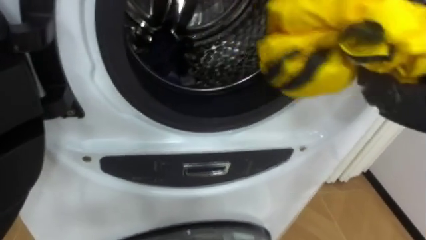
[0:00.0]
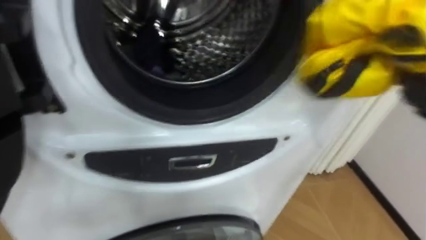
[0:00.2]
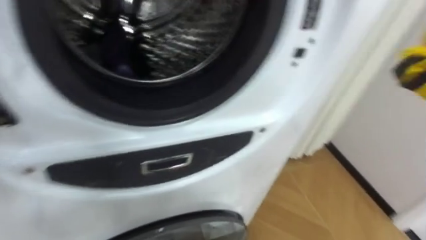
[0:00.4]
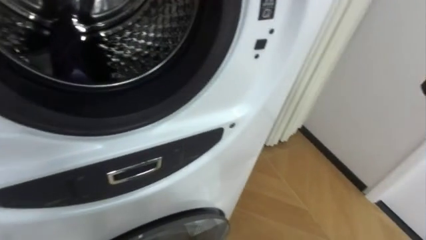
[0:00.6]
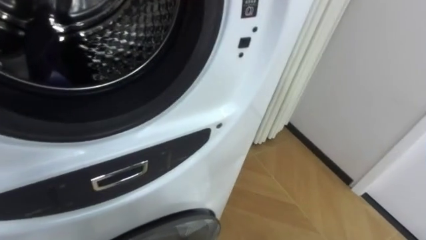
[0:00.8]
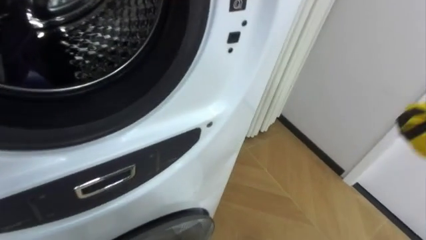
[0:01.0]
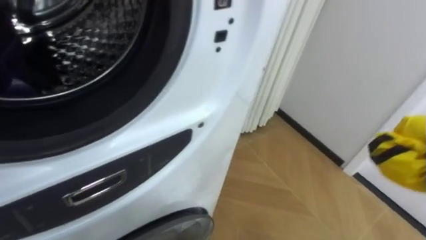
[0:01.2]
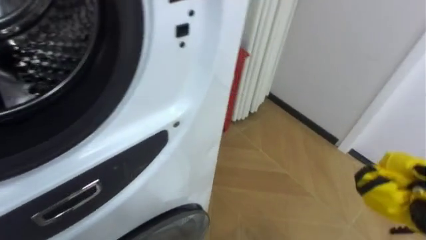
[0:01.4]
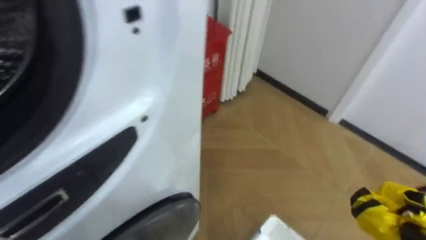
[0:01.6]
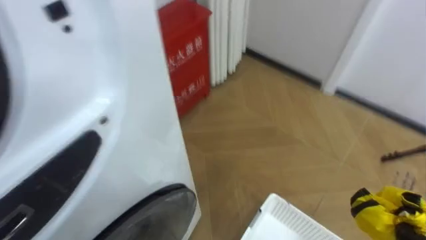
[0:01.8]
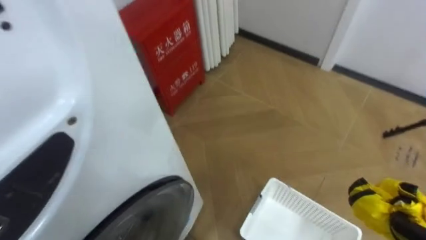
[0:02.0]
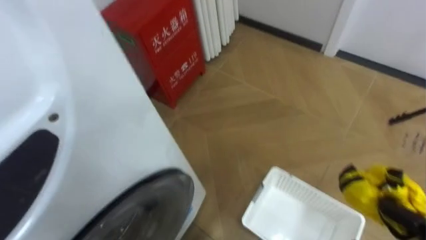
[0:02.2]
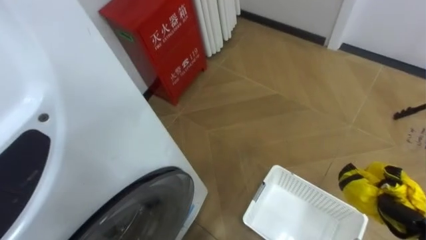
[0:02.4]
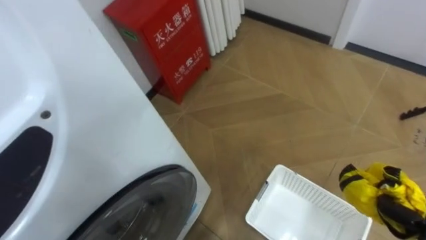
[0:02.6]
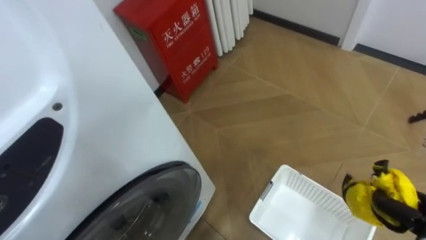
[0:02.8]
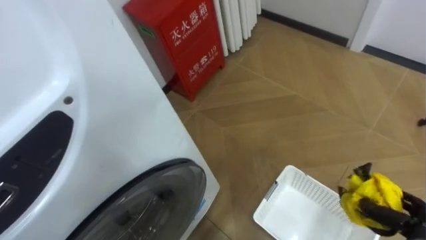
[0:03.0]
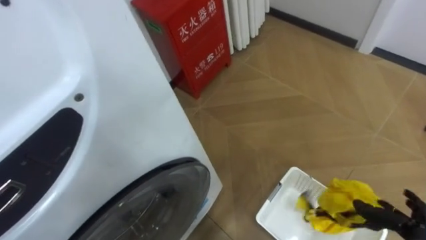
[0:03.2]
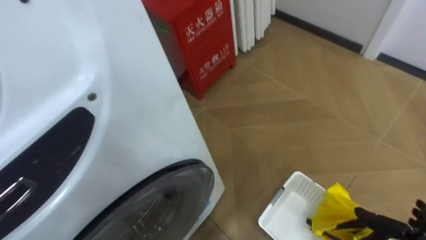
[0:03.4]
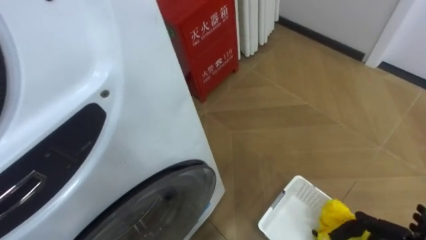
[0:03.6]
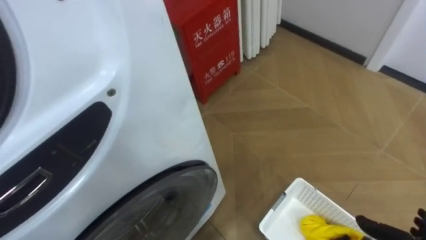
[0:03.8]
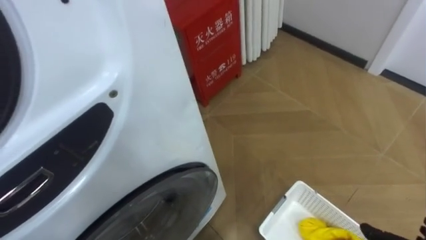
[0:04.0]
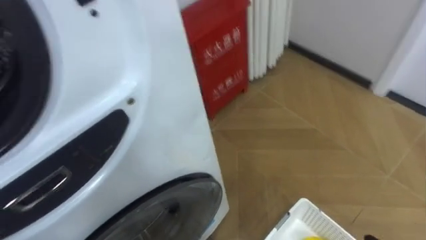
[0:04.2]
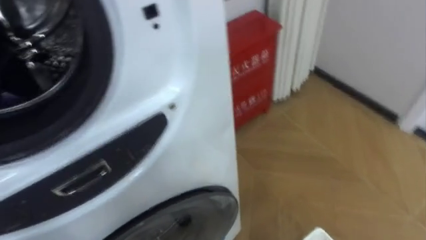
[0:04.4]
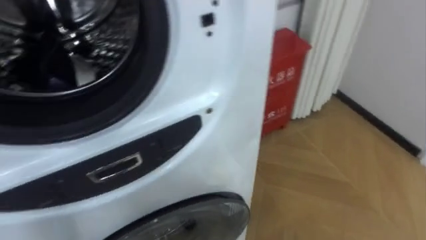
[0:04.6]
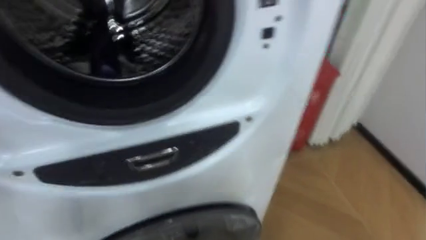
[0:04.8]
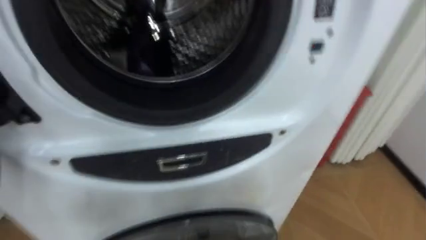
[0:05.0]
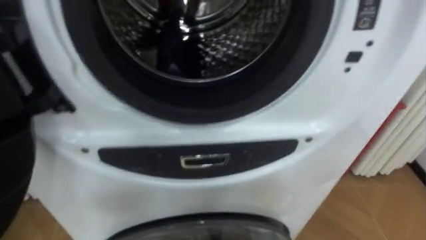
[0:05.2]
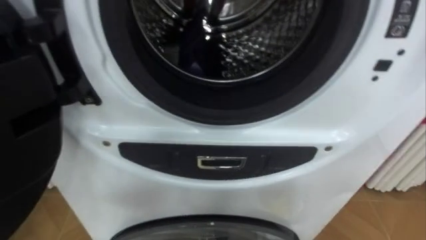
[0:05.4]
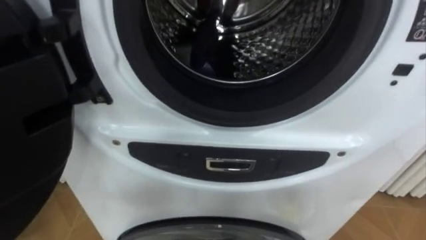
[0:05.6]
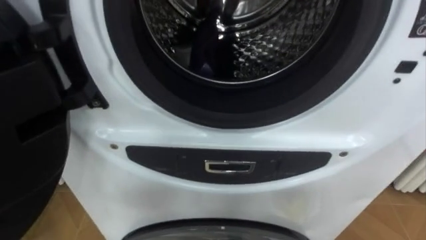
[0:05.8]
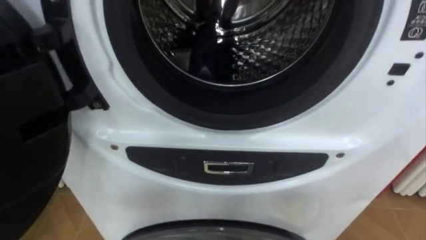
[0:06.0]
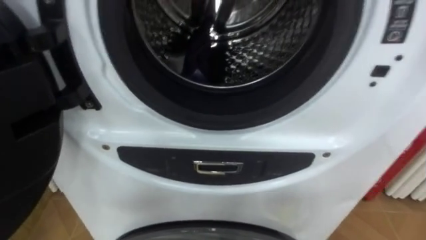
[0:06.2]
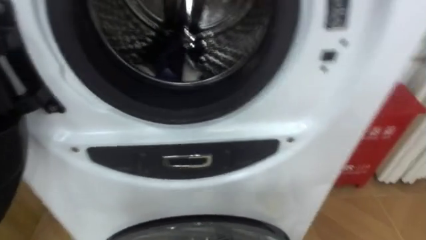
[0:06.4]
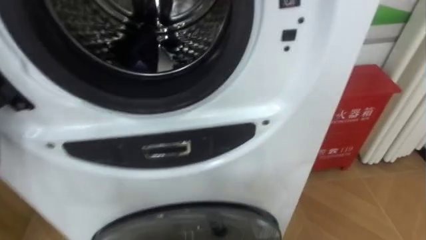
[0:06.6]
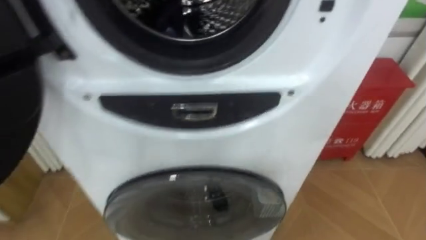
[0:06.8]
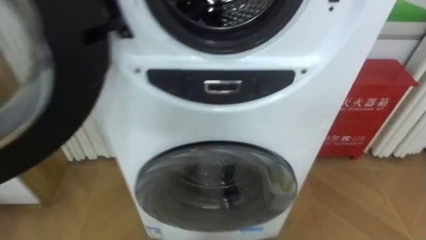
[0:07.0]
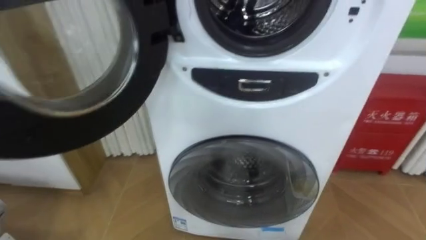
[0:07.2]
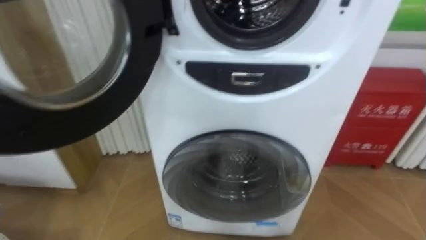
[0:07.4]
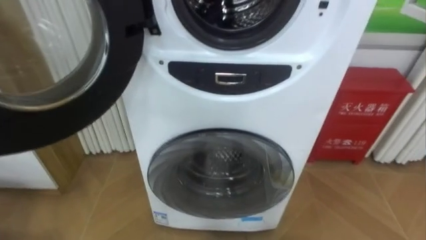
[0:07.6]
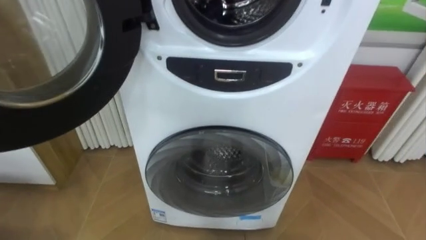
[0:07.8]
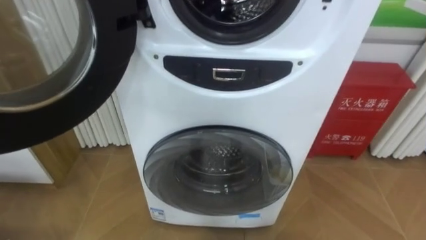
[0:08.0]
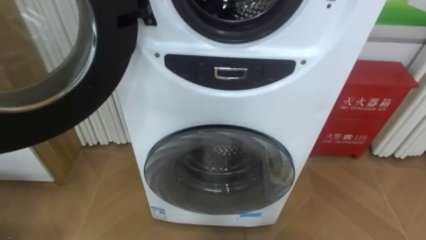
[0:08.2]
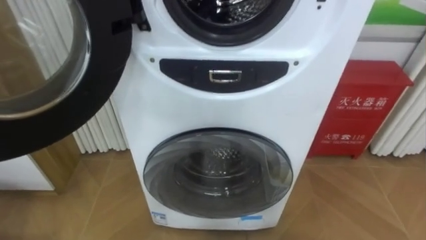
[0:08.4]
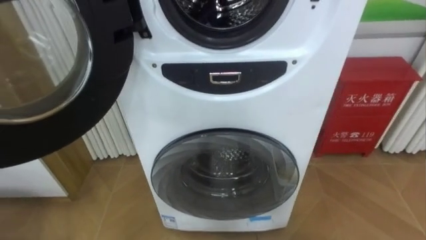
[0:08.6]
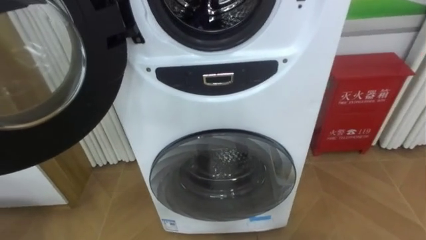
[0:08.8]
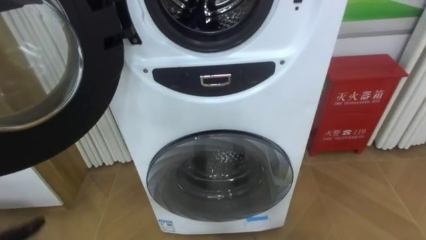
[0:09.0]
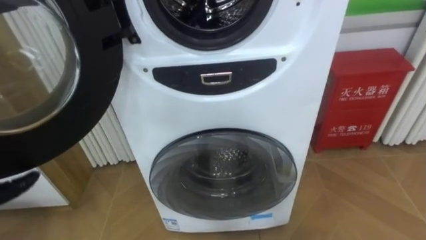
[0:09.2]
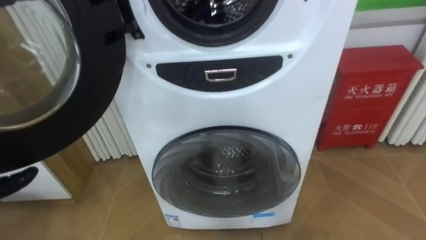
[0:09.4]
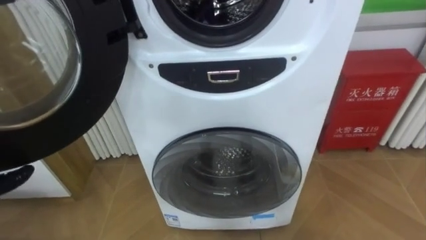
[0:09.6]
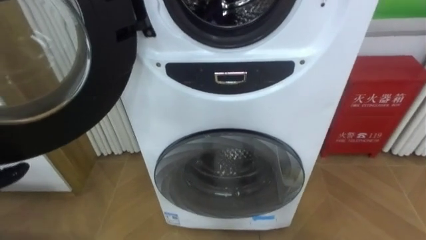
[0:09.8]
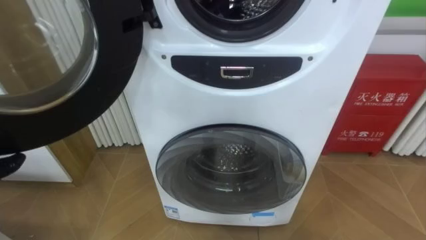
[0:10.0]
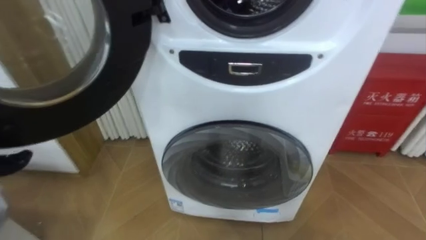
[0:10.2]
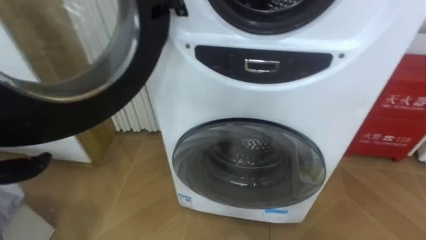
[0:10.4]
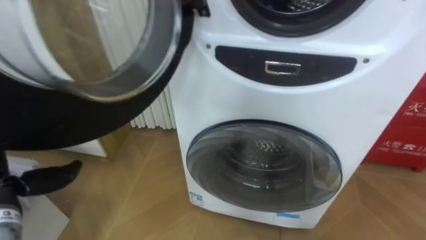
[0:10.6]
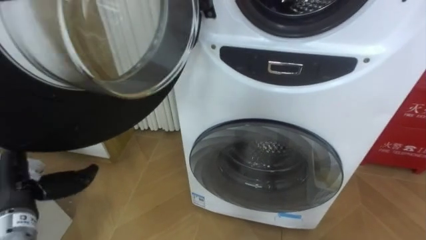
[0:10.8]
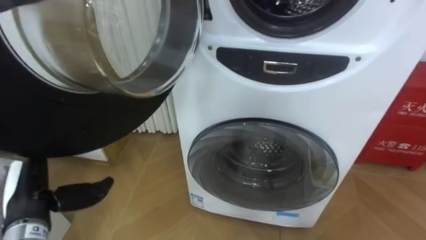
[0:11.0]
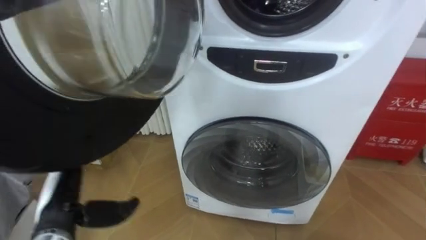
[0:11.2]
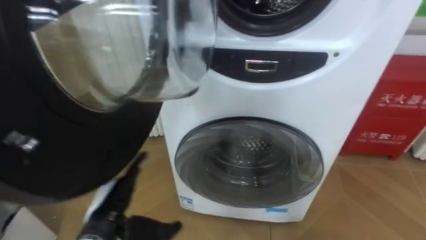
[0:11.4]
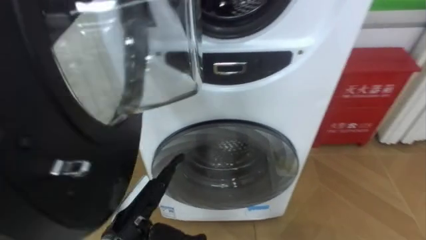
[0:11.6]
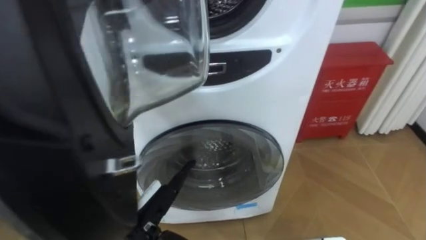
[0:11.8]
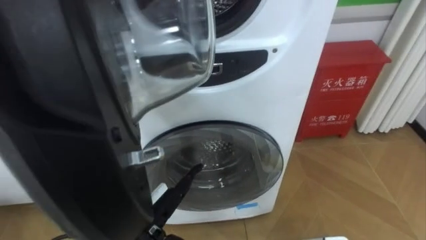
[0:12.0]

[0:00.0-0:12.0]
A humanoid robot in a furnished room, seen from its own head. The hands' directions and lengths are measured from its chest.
Task of the whole recording: Open the washing machine door, take out the yellow clothes, place them in the box on the right, and close the washing machine door.
0:00.0 to 0:01.6: The robot faces approximately 25 degrees further to its right.

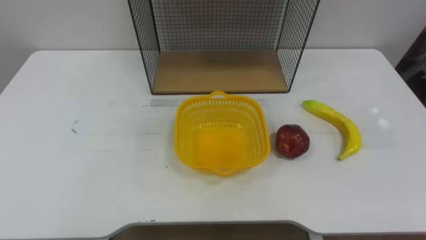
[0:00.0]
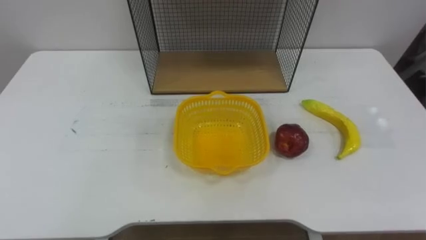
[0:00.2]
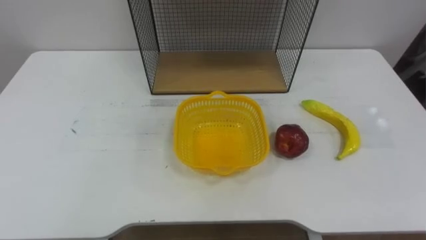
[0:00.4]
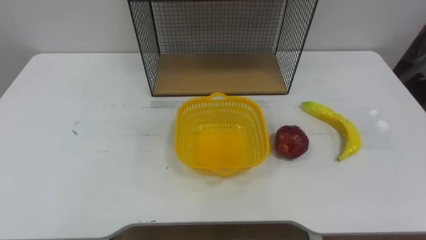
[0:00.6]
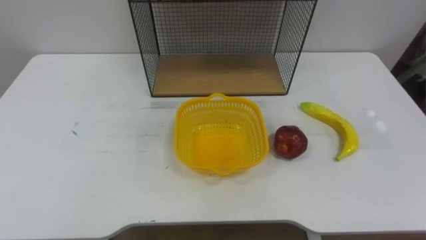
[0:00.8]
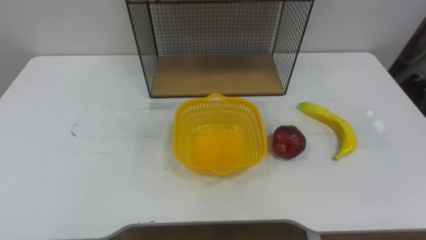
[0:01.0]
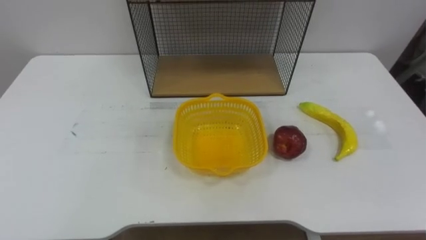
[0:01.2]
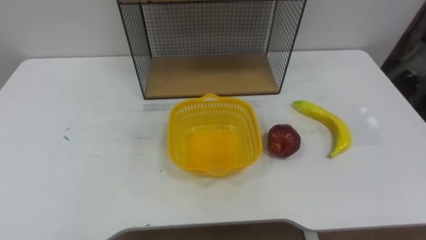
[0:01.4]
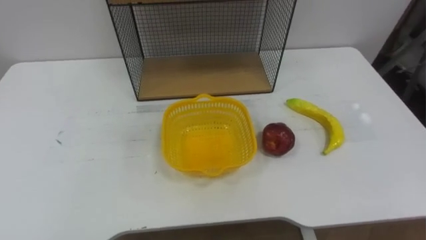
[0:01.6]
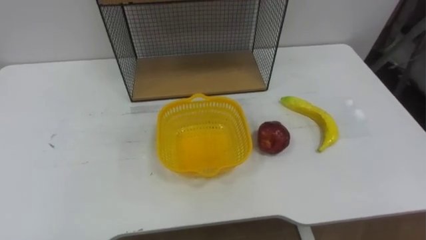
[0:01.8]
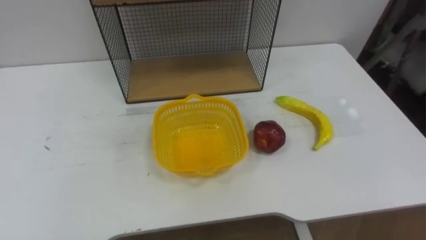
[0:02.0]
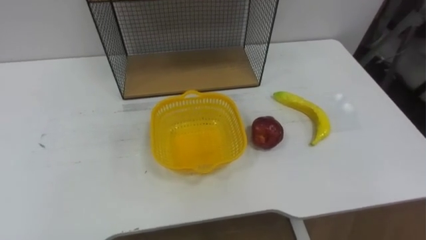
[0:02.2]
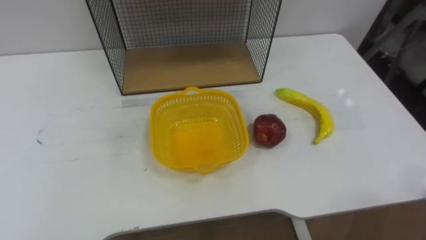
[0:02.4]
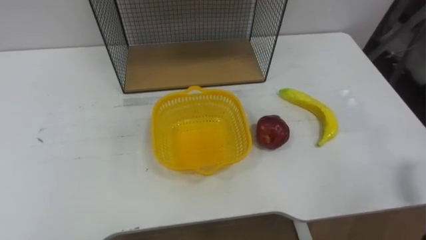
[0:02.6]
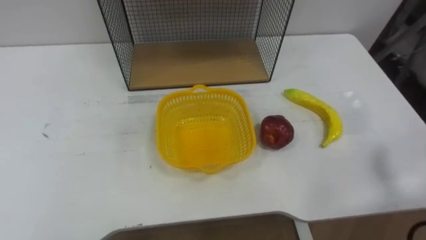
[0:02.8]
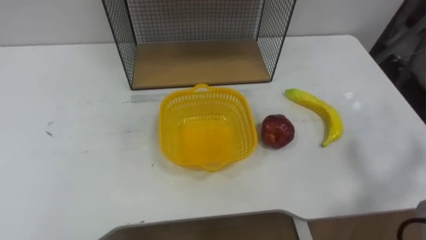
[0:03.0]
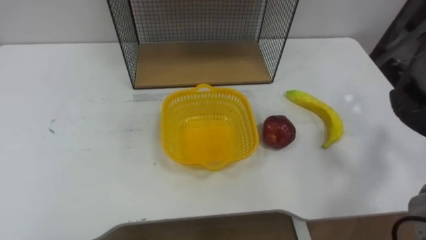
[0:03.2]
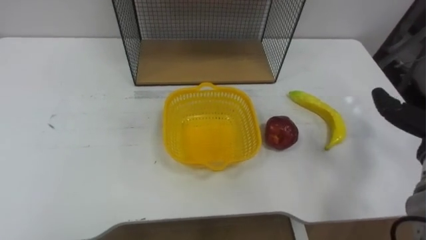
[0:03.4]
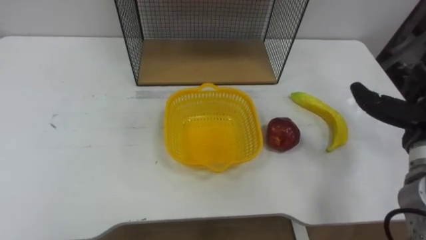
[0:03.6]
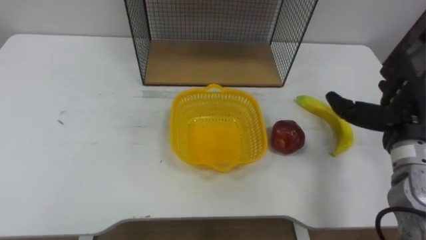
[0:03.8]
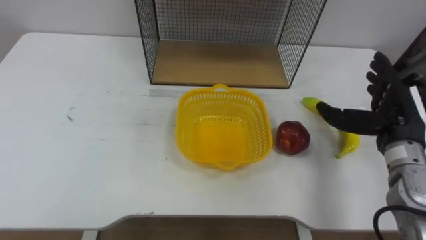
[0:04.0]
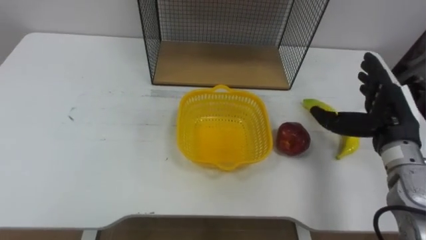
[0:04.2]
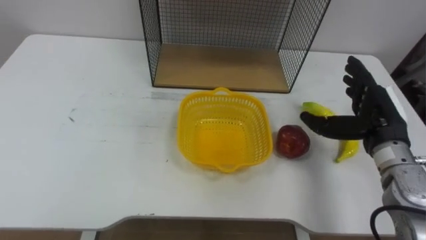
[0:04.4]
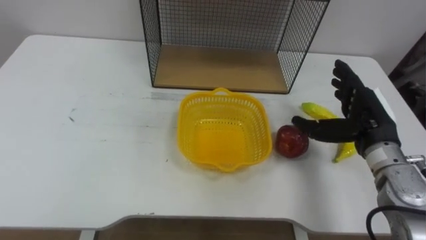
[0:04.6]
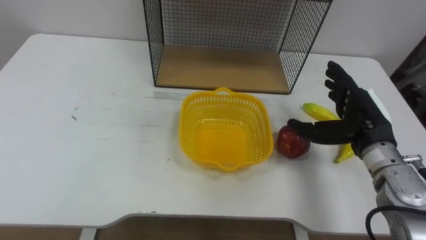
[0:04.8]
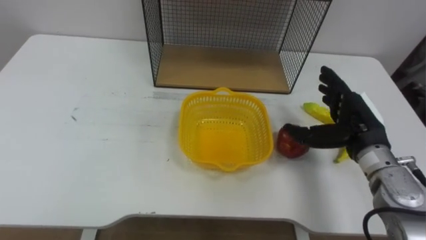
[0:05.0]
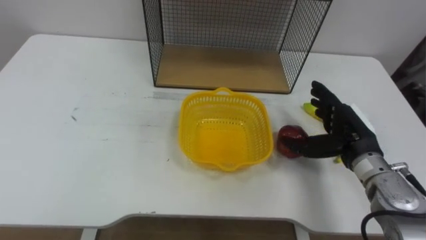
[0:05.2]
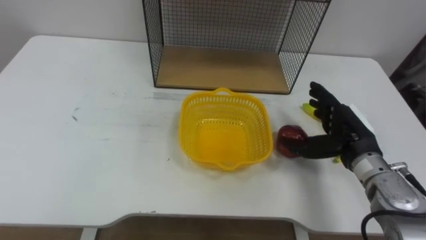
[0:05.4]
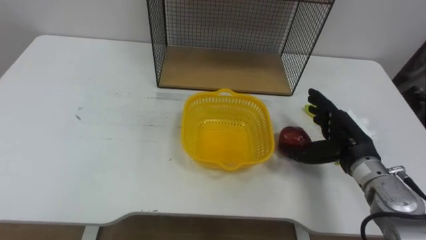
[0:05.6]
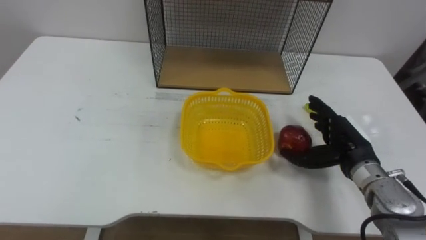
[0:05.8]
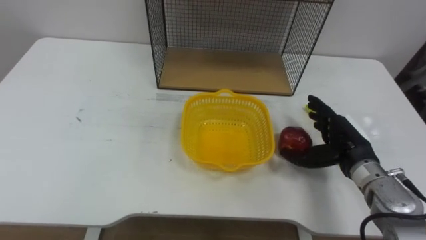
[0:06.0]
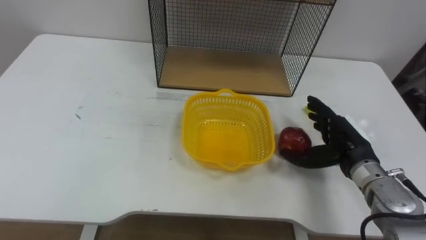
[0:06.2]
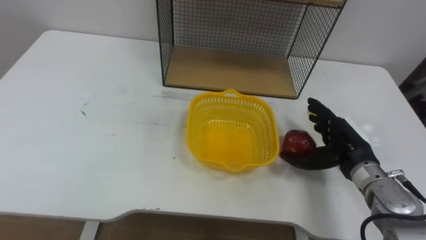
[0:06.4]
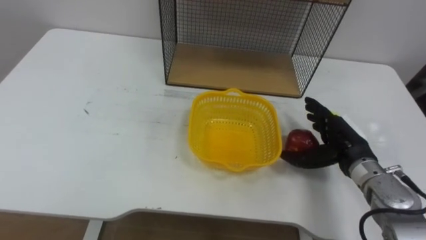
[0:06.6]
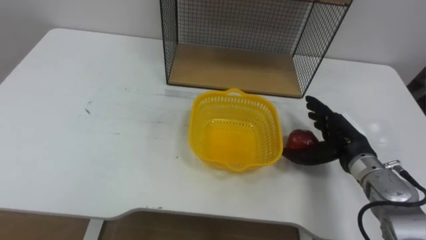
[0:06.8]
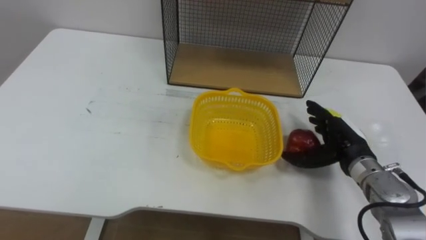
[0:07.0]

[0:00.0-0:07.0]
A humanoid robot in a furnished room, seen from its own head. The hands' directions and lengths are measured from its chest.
Task of the whole recording: Put the fruit on the table into the basket, then place the basket on the shelf.
0:04.2 to 0:05.6: The right hand travels downward by roughly 5 cm.
